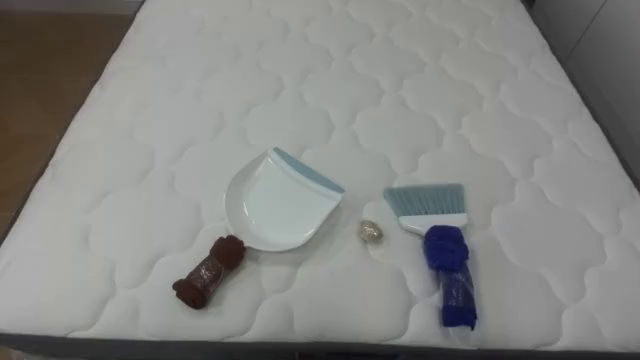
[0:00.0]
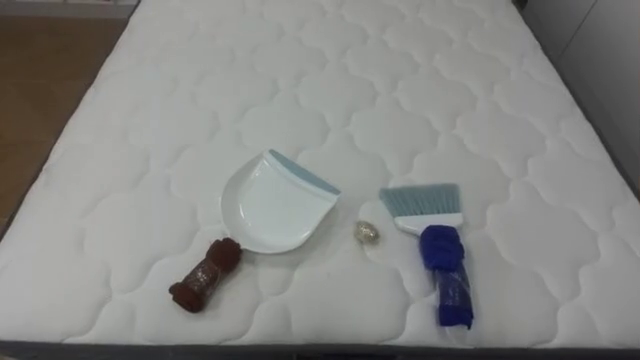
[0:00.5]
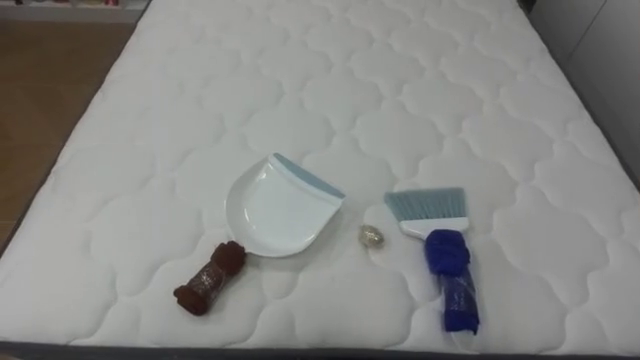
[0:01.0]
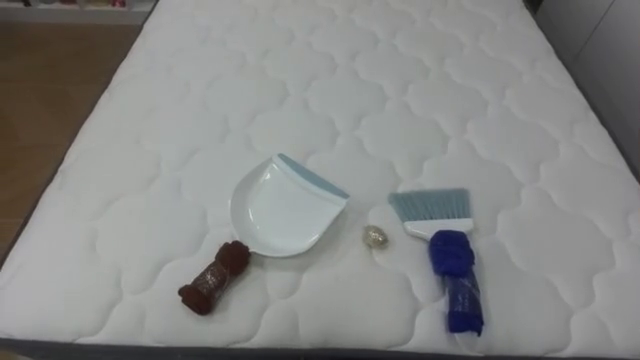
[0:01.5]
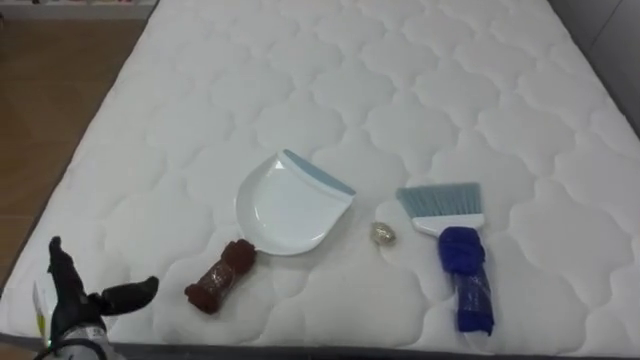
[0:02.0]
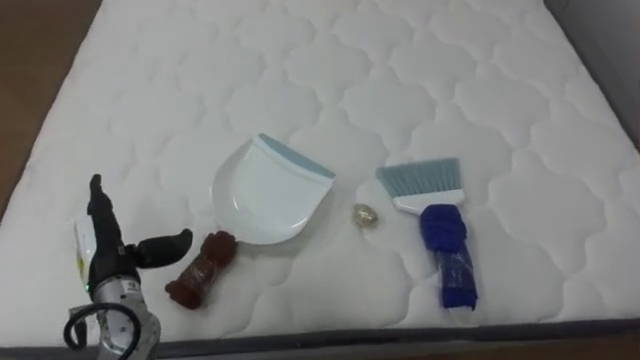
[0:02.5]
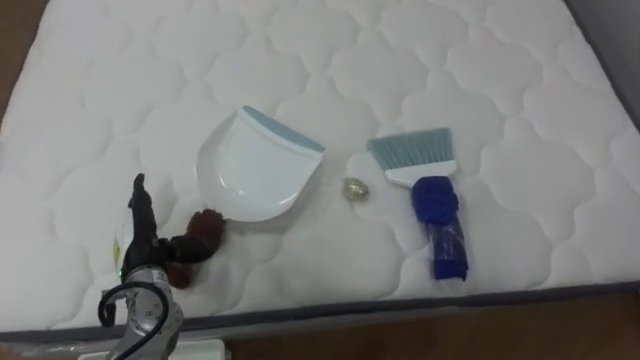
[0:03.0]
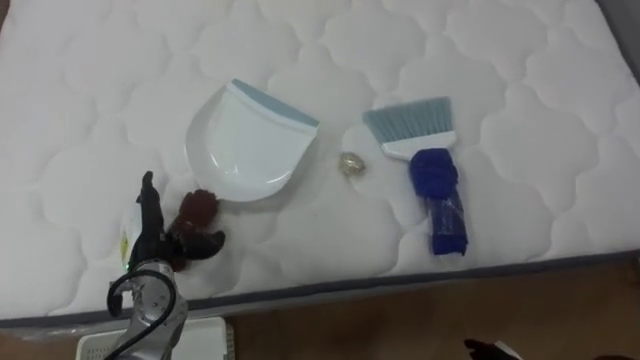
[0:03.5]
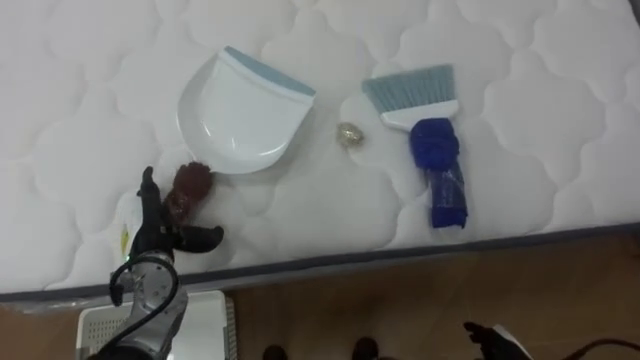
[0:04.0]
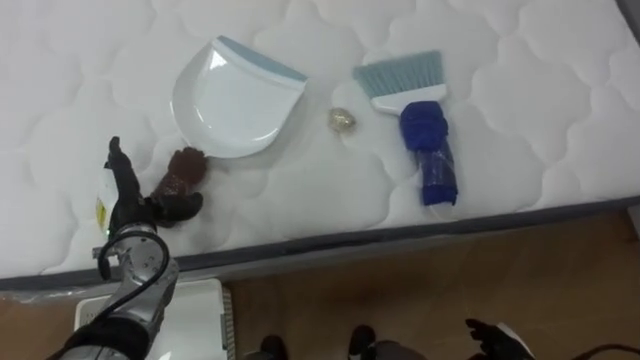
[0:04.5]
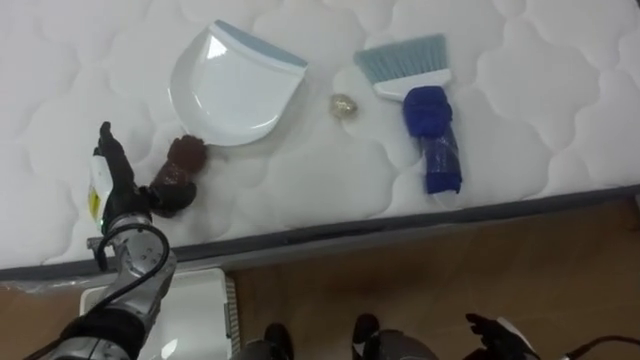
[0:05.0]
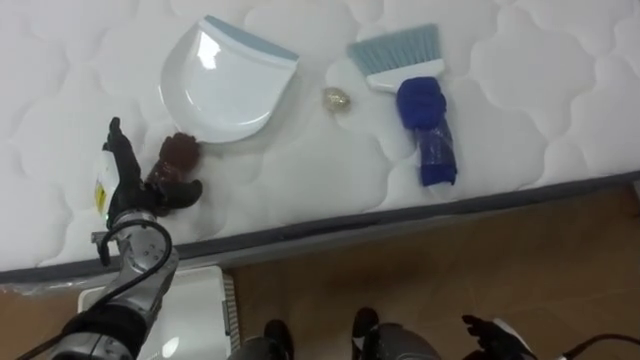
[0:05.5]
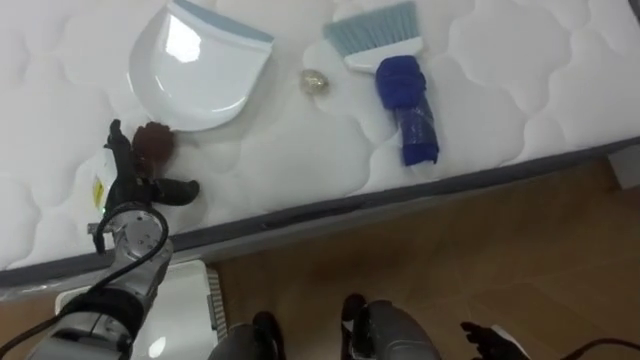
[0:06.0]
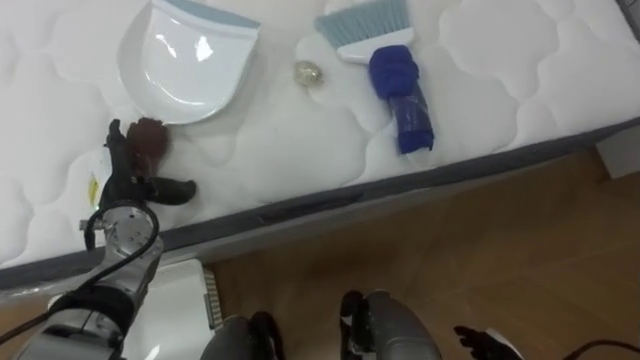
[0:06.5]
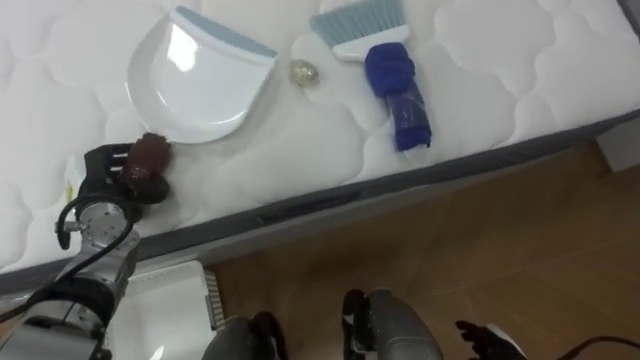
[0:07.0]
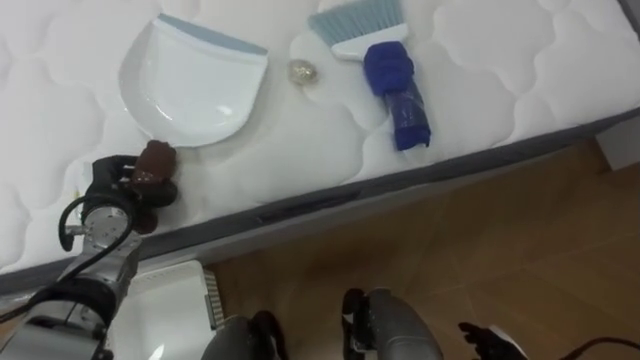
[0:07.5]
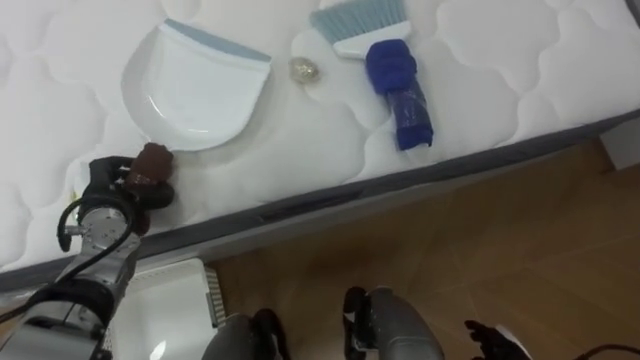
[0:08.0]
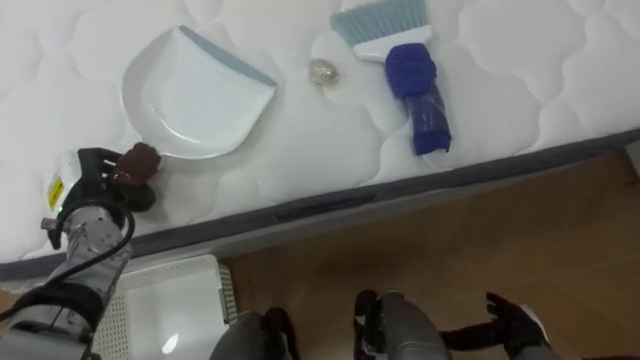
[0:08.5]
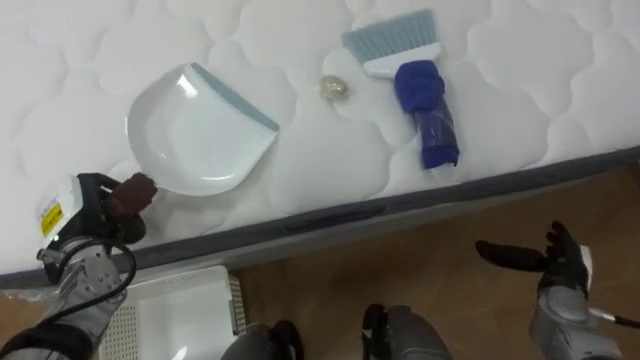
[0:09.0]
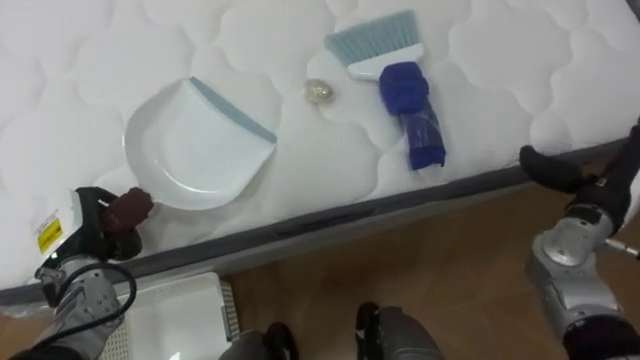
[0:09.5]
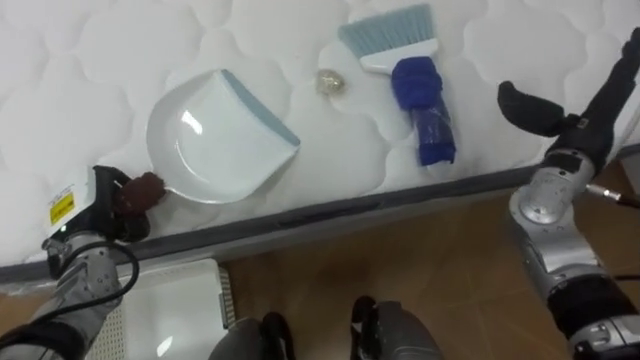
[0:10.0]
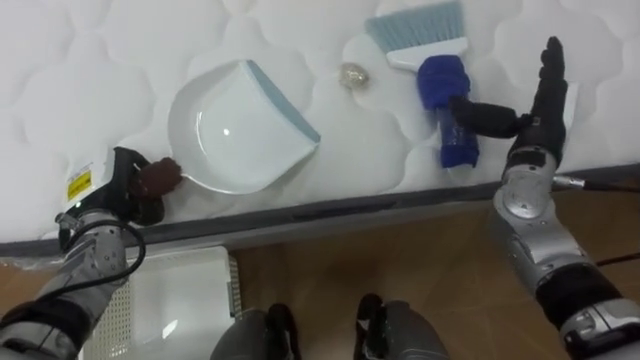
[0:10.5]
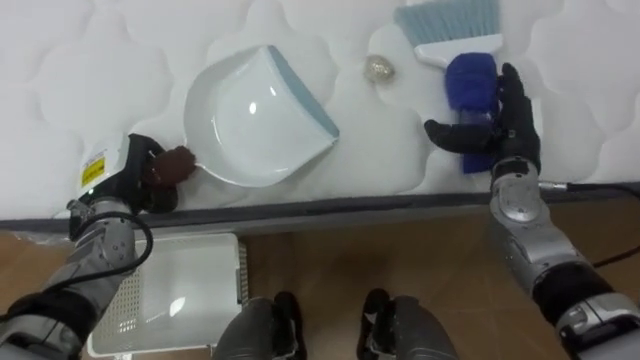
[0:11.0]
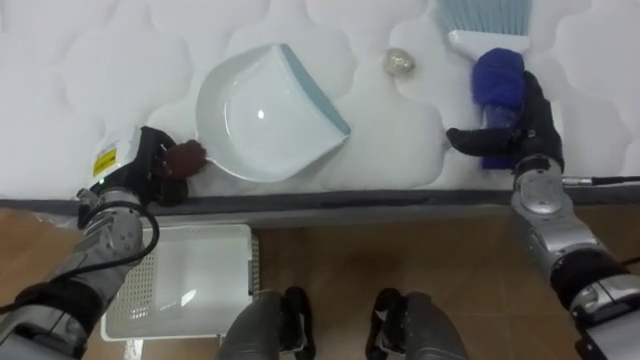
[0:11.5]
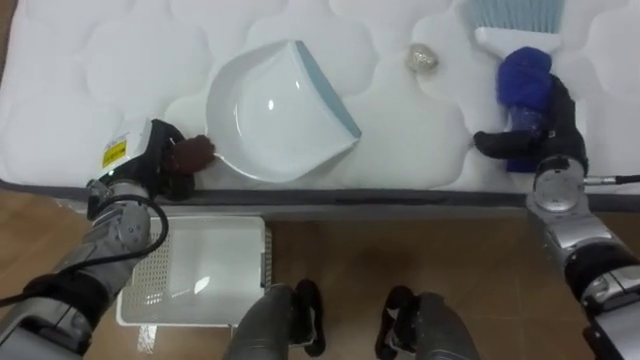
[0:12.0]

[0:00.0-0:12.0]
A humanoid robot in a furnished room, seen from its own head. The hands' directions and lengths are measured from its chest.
Task of the whole recording: Pick up the brush on your right and the dustpan on your left. Use the brush to sweep the crumpled paper on the bed into the dustpan, then turn left and empty it into the basket.
0:02.0 to 0:04.0: The left hand moves forward and to the right, about 15 cm.
0:04.0 to 0:06.0: The left hand changes place by some 5 cm.
0:06.0 to 0:08.0: The left hand closes its fingers.
0:10.0 to 0:12.0: The left hand goes roughly 10 cm to the right and forward, while the right hand travels downward by approximately 5 cm.

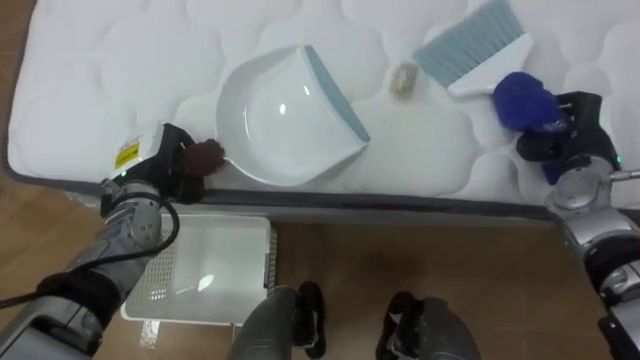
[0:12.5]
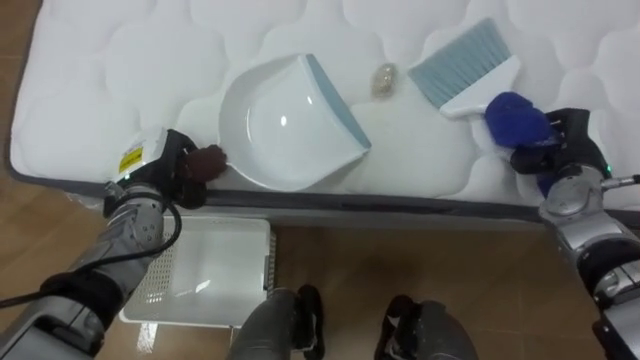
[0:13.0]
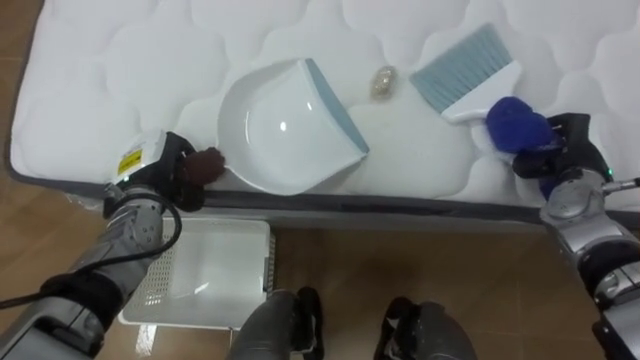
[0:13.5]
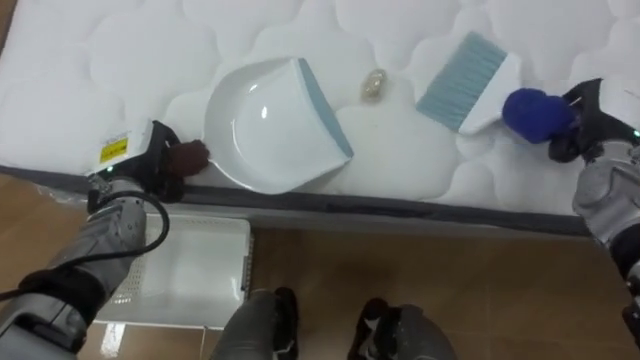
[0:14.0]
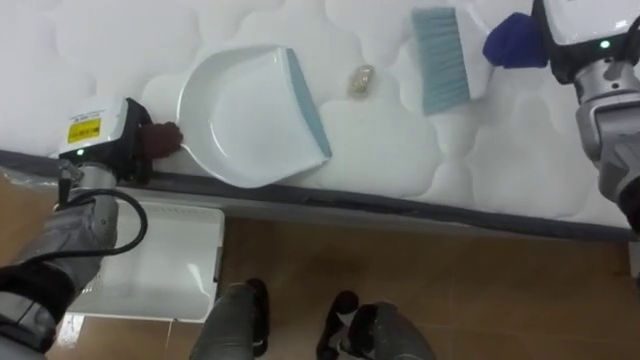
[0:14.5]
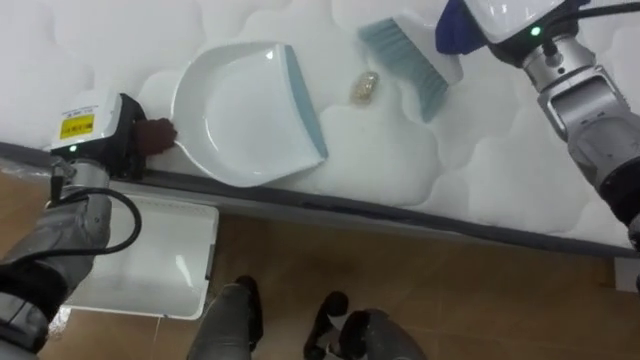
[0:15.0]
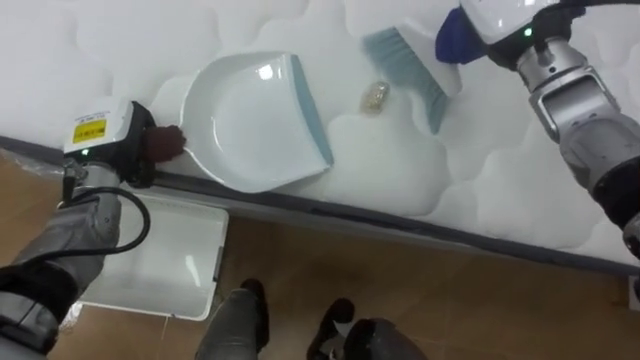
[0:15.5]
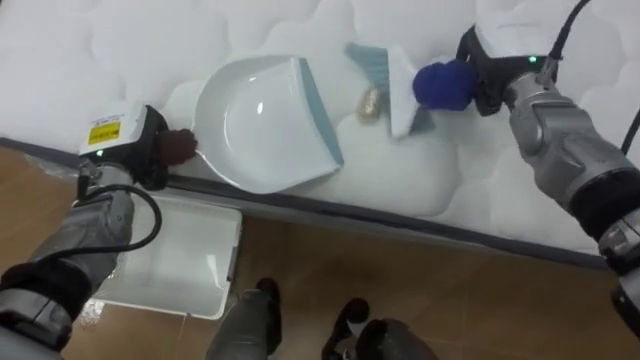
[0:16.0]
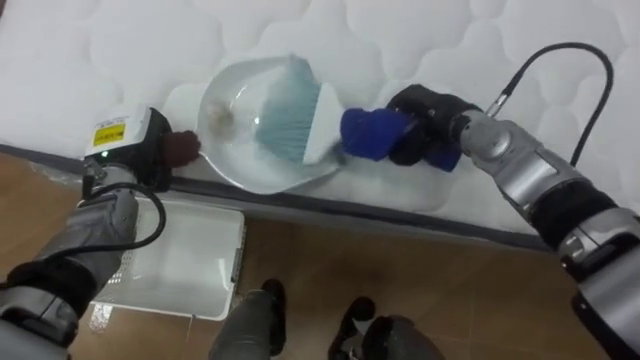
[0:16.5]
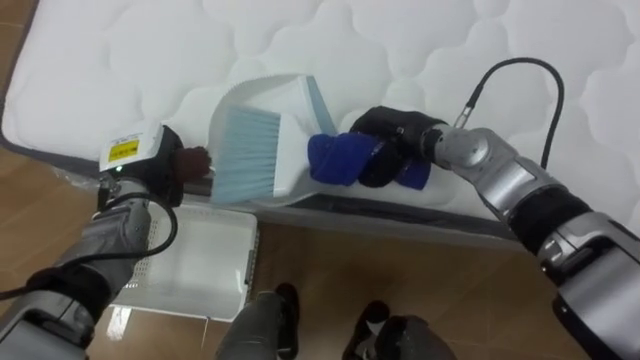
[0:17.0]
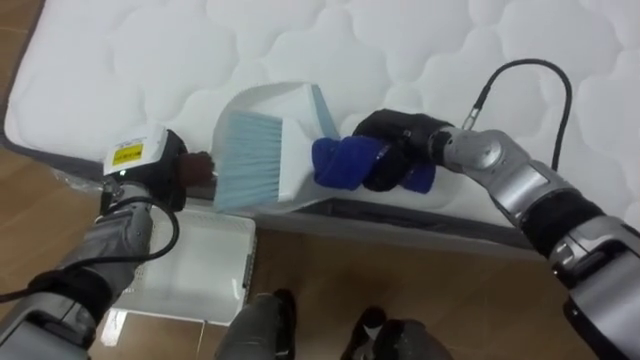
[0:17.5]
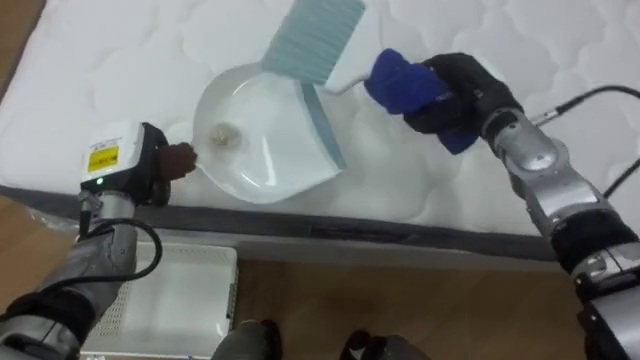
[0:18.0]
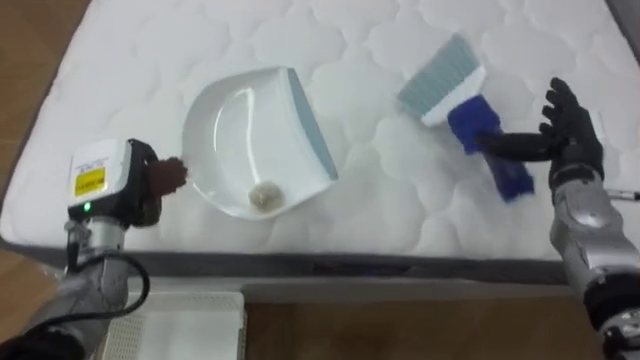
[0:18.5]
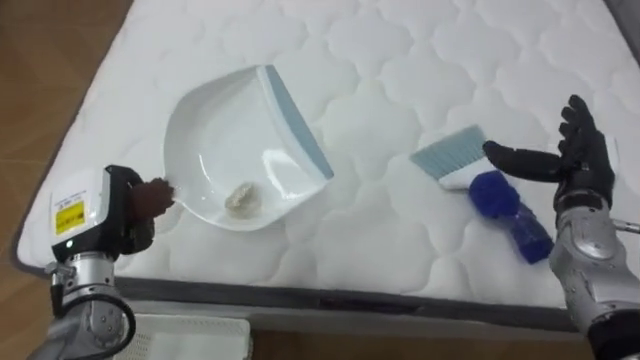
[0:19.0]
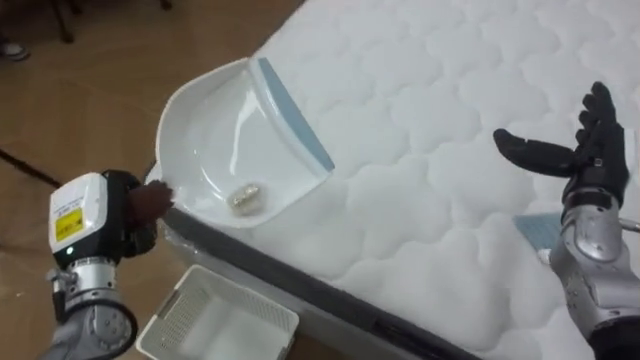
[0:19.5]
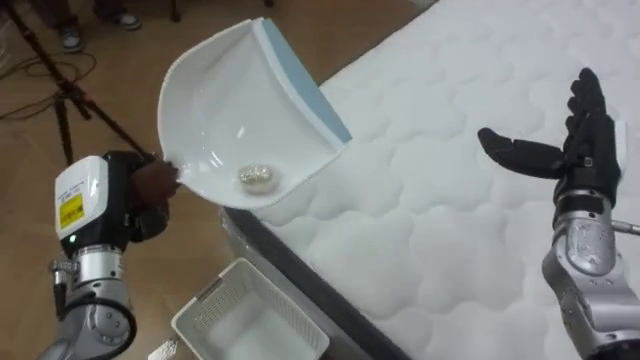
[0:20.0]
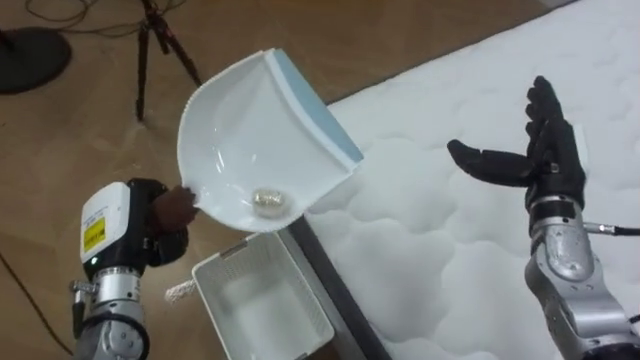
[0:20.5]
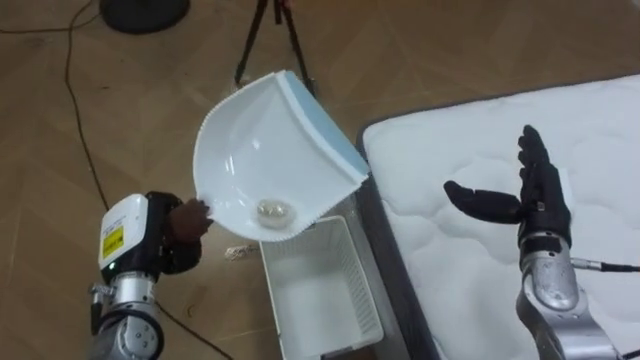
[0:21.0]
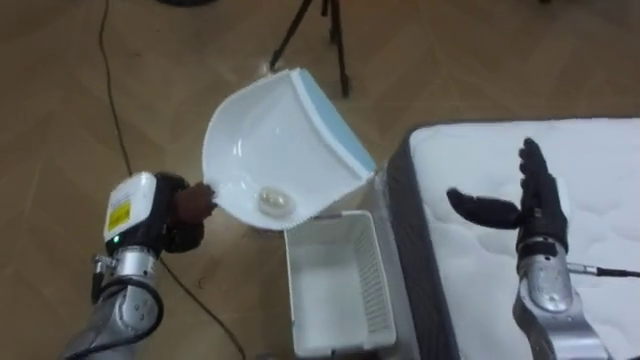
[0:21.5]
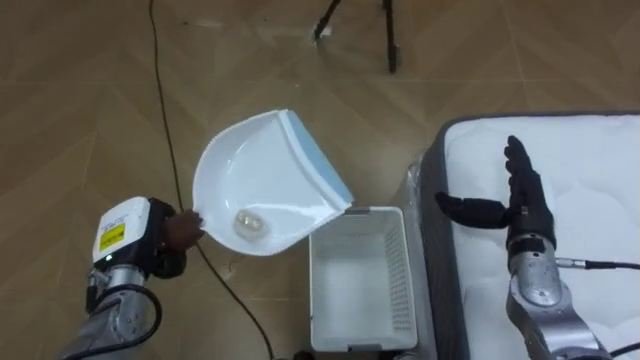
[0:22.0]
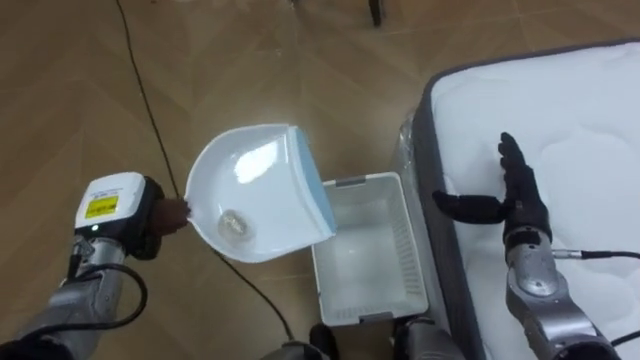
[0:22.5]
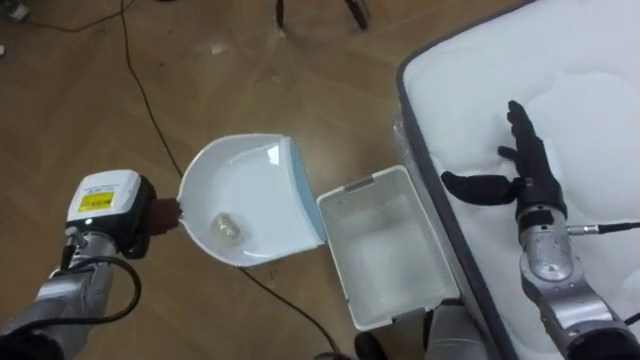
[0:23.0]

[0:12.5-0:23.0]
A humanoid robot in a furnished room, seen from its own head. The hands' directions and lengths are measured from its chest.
Task of the whole recording: Pick up the brush on your right and the dustpan on your left. Use the brush to sweep the crumpled paper on the bed into the dustpan, then turn left and empty it into the basket.
0:12.5 to 0:14.5: The right hand heads upward and to the left, covering roughly 15 cm. The left hand shifts by roughly 5 cm.
0:16.5 to 0:19.0: The right hand heads to the right and backward, covering about 20 cm, and opens up, while the left hand travels backward by some 10 cm.
0:19.0 to 0:21.0: The robot's body swings about 70 degrees to its left. The right hand moves approximately 5 cm. Meanwhile the left hand shifts by some 5 cm.
0:21.0 to 0:23.0: The left hand moves roughly 5 cm.
